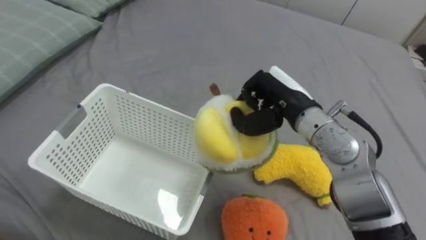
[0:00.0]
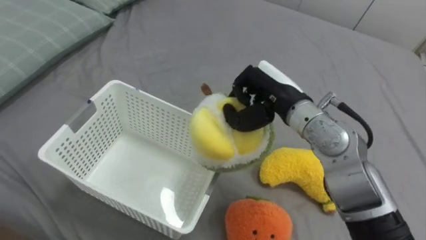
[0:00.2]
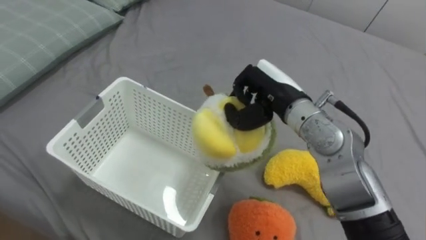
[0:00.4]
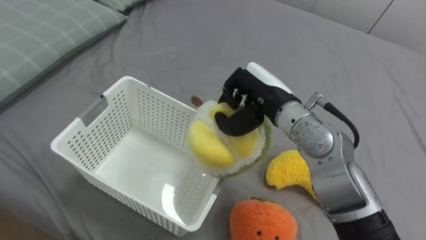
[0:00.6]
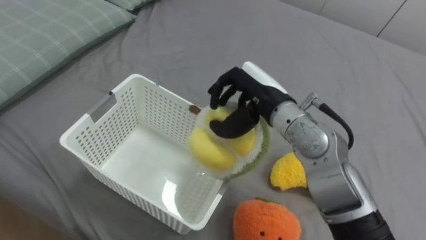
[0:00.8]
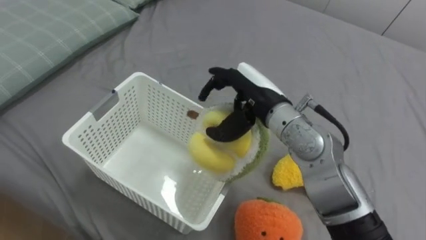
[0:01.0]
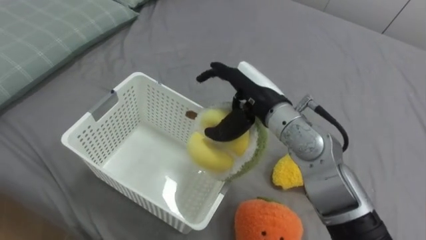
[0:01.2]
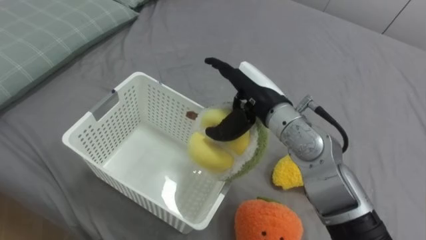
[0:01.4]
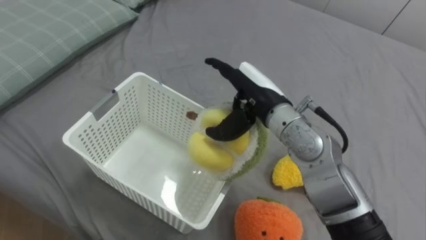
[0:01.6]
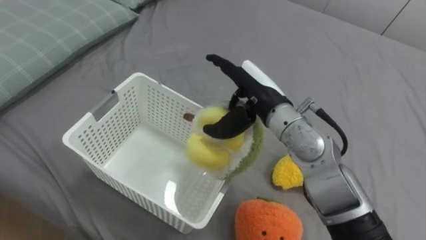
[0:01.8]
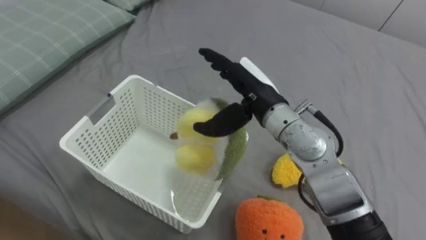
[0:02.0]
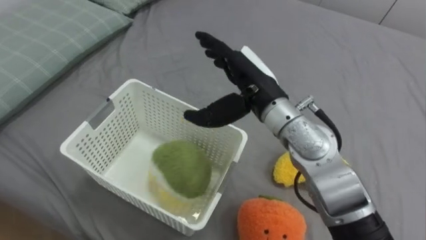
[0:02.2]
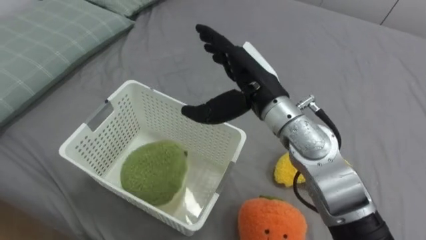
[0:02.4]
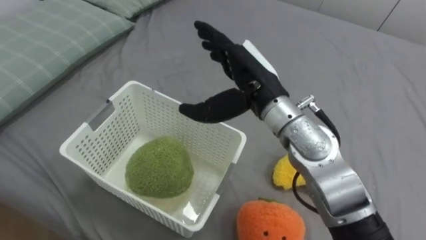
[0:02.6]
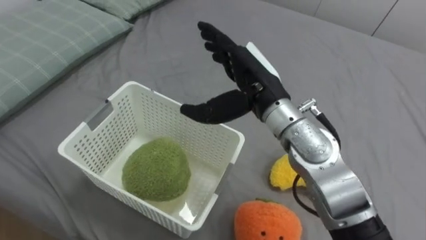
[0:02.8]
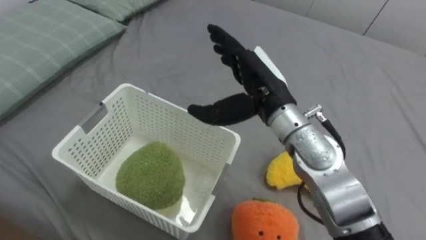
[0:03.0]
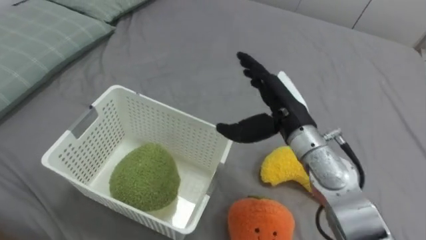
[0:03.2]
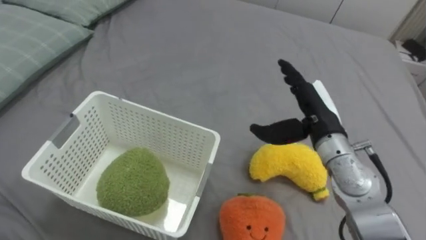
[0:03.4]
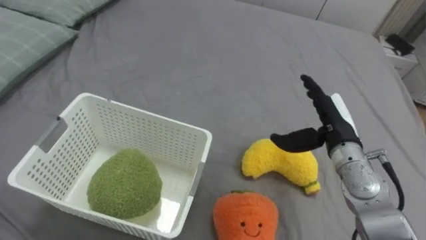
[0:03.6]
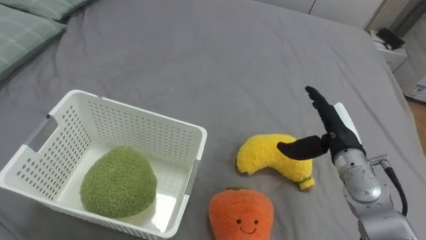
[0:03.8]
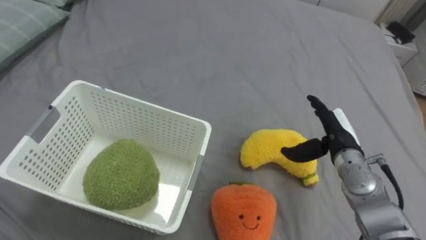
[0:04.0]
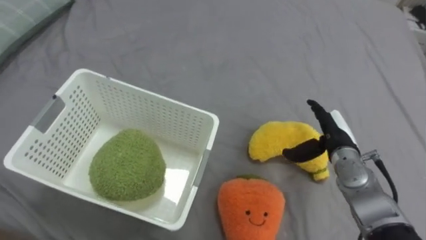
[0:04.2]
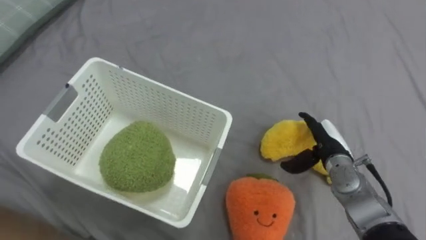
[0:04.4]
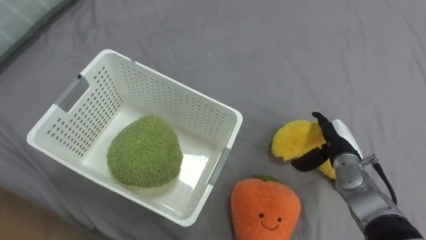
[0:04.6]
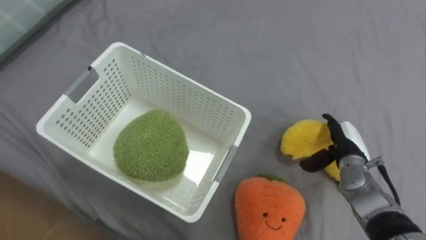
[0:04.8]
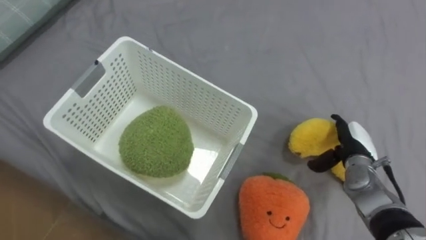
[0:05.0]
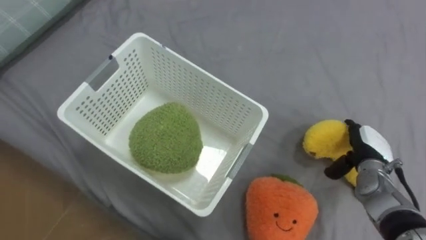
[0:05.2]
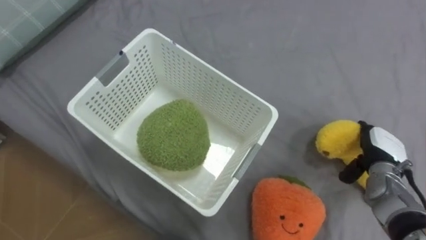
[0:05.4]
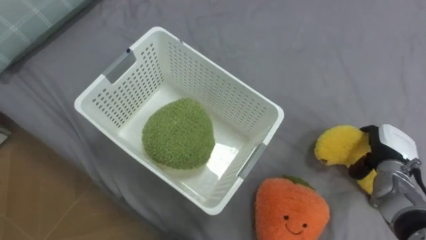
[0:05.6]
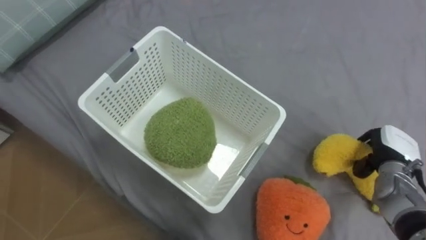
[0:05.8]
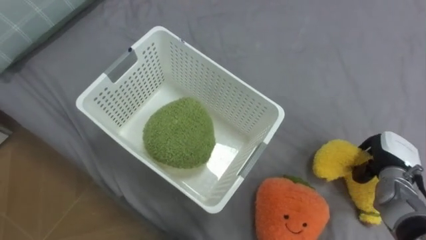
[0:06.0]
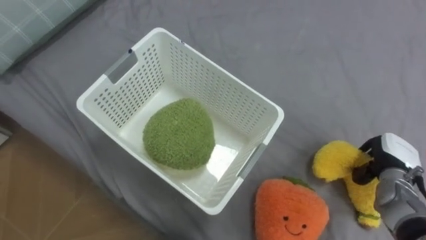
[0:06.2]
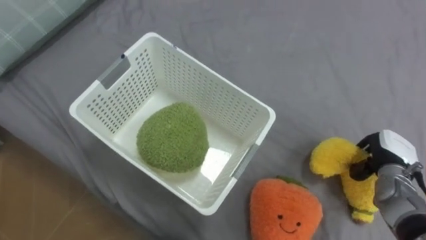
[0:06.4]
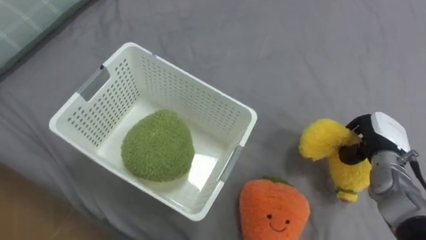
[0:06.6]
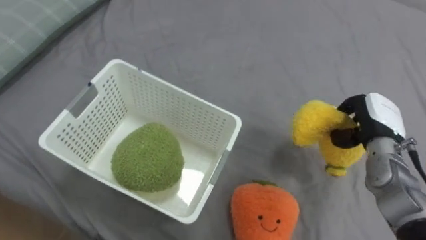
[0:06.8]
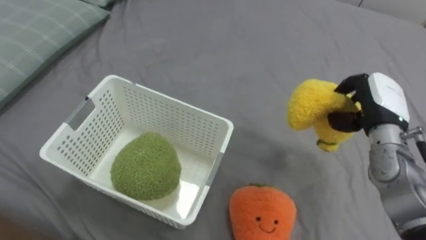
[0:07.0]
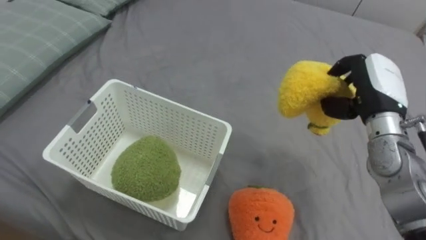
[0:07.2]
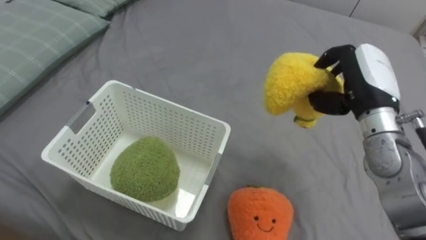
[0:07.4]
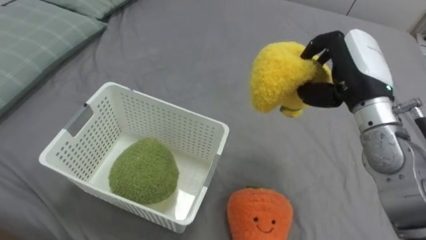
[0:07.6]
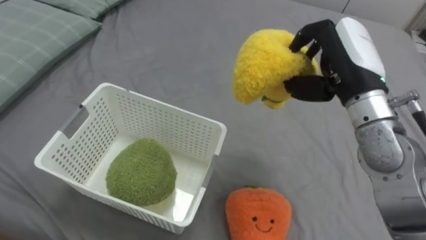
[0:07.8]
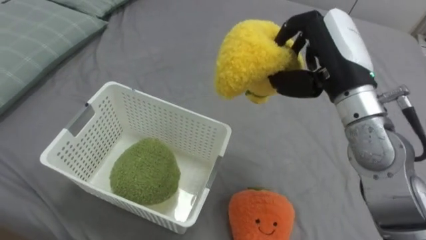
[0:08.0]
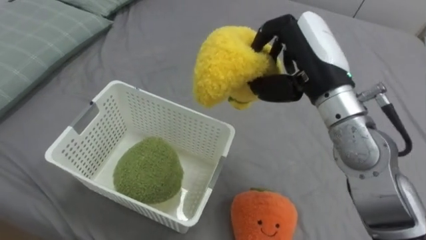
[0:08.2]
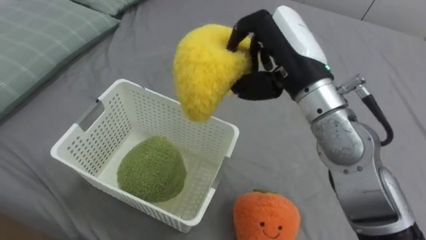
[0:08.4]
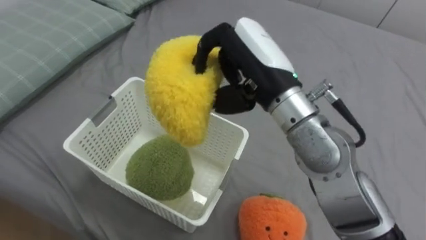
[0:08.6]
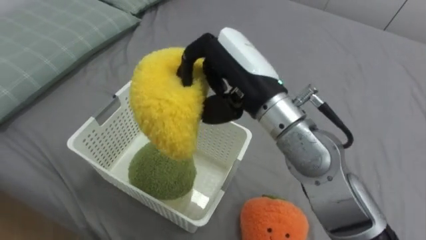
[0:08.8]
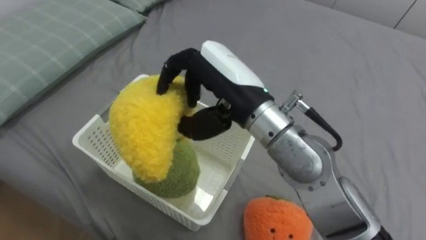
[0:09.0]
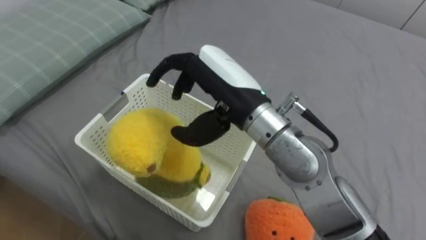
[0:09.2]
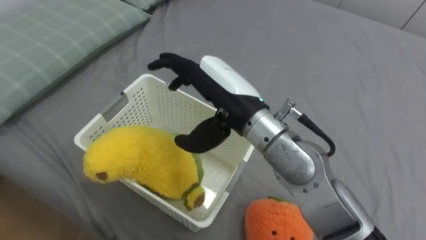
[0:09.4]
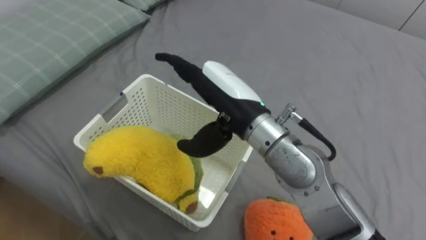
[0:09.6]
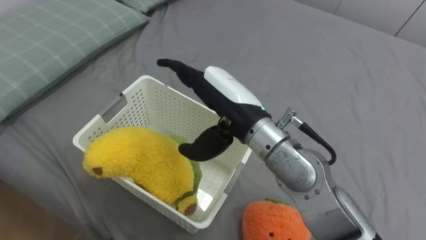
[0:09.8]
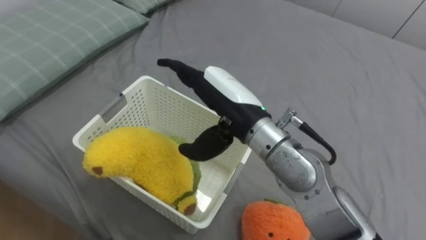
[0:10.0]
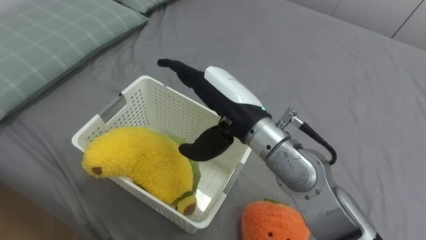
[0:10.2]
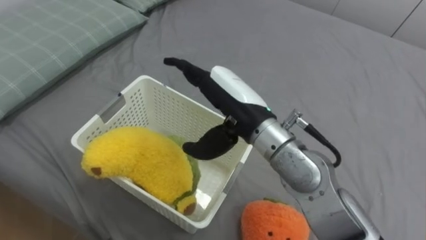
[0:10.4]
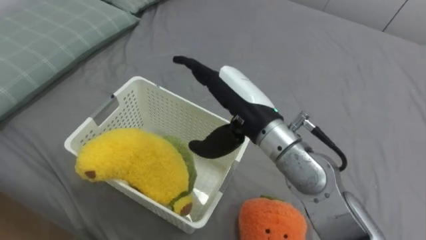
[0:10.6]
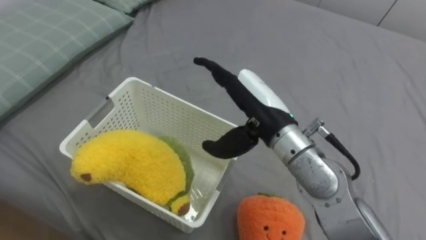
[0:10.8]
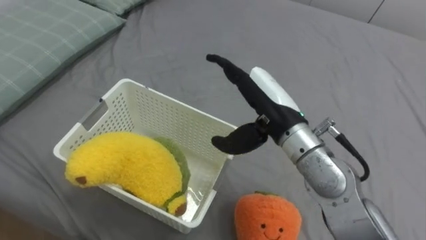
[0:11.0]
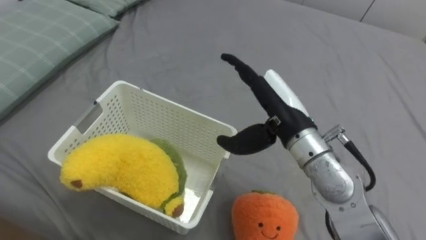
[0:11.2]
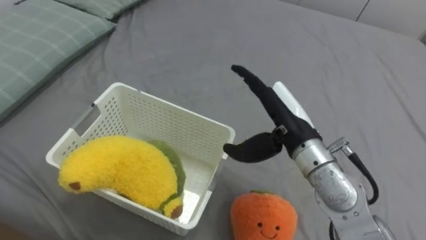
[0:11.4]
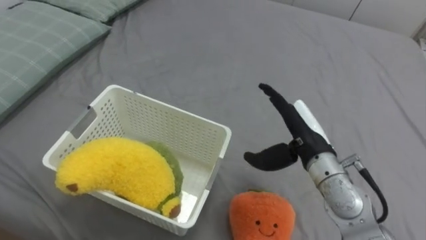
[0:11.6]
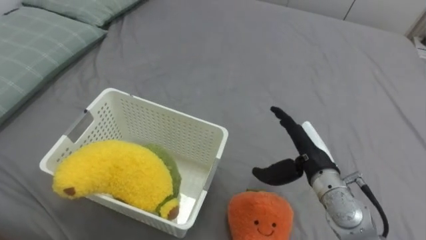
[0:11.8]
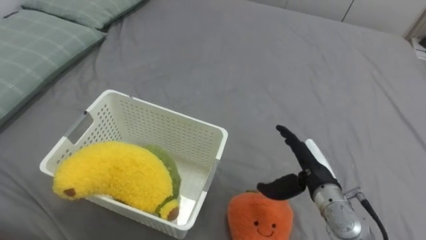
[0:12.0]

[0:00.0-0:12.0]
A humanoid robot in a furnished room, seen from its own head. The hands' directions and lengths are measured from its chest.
Task of the whole recording: Put the toys on the bed into the basket on the left.
0:00.0 to 0:01.6: The right hand moves to the left, roughly 5 cm, and opens up.
0:03.0 to 0:04.4: The right hand goes roughly 25 cm downward and to the right.
0:04.4 to 0:06.0: The right hand moves to the right, some 10 cm, and closes up.
0:06.0 to 0:07.6: The right hand heads upward and to the left, covering some 25 cm.
0:07.6 to 0:09.0: The right hand is displaced to the left by some 20 cm.
0:09.0 to 0:10.4: The right hand opens.
0:10.4 to 0:12.0: The right hand shifts some 25 cm downward and to the right.

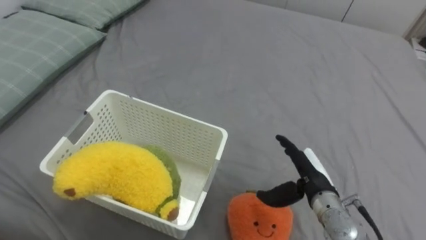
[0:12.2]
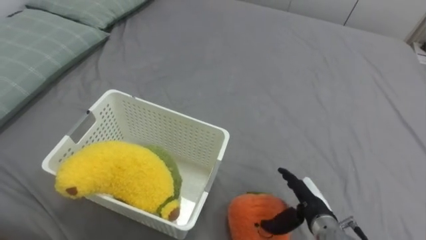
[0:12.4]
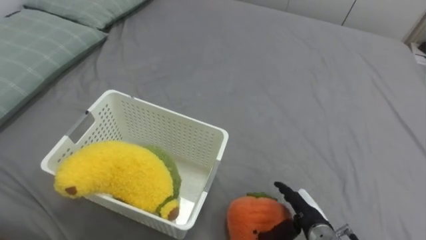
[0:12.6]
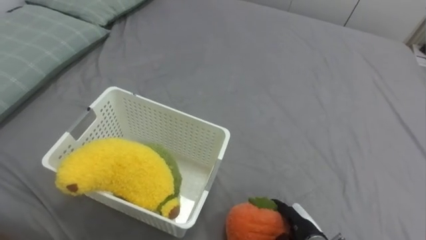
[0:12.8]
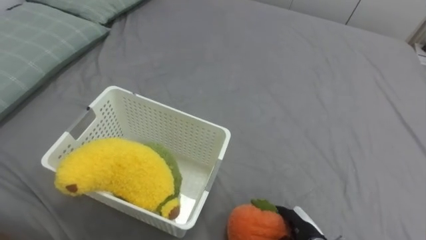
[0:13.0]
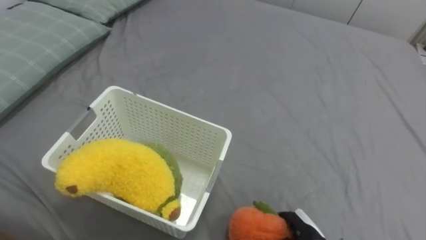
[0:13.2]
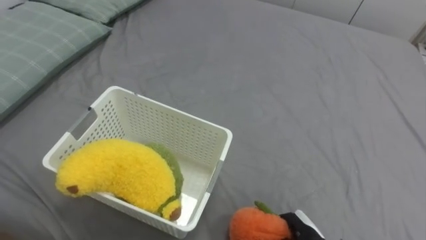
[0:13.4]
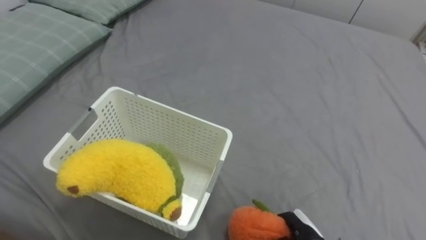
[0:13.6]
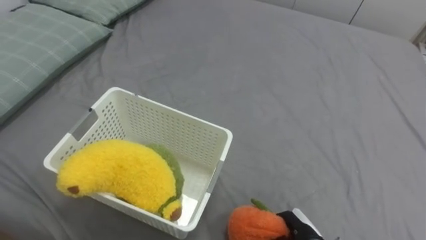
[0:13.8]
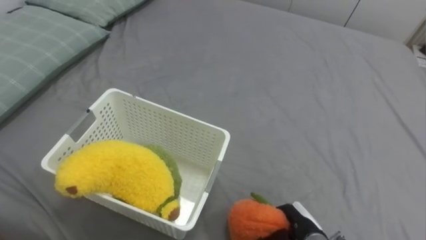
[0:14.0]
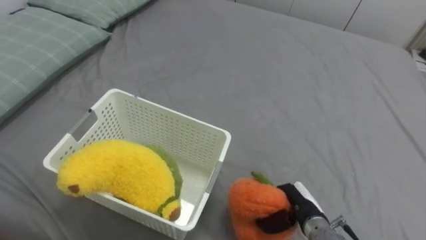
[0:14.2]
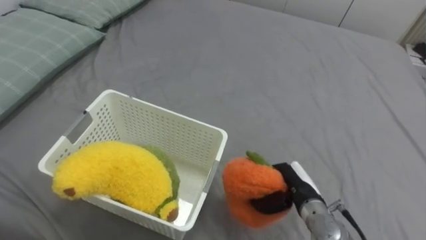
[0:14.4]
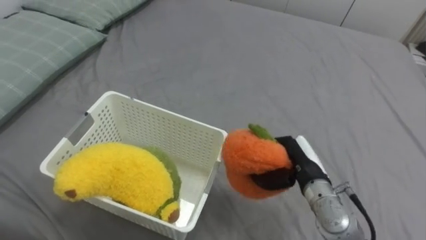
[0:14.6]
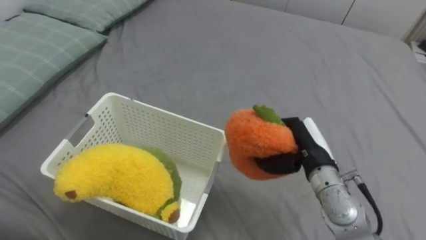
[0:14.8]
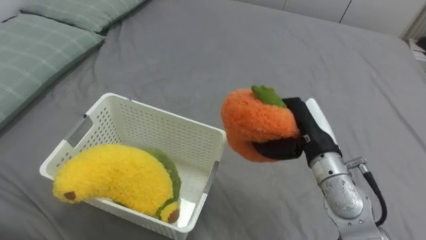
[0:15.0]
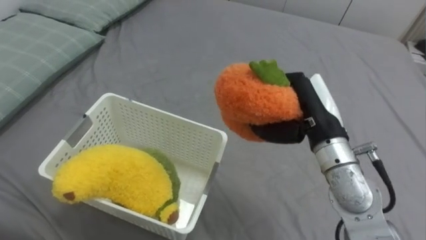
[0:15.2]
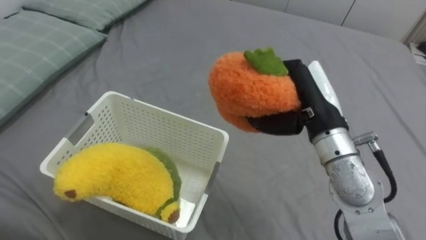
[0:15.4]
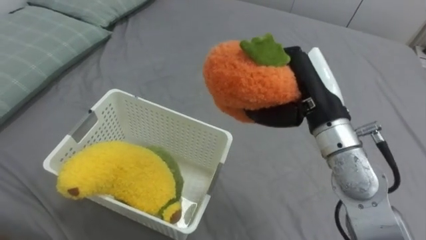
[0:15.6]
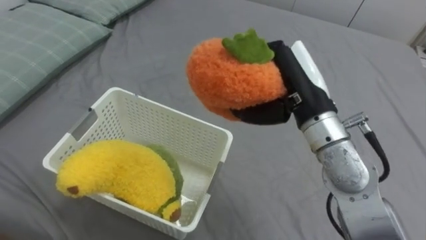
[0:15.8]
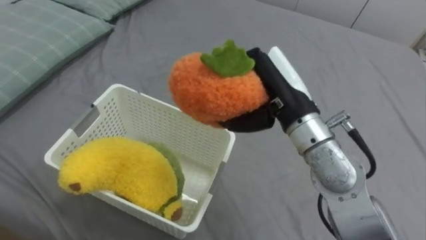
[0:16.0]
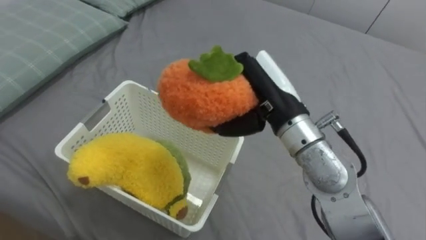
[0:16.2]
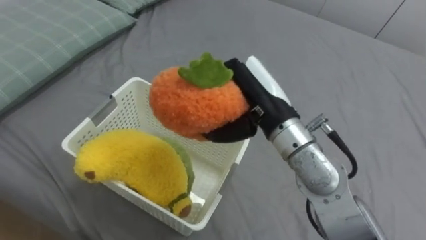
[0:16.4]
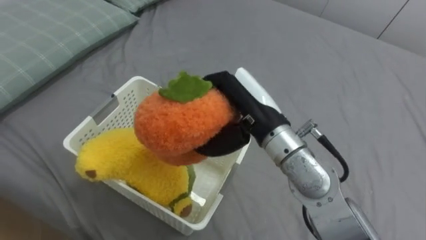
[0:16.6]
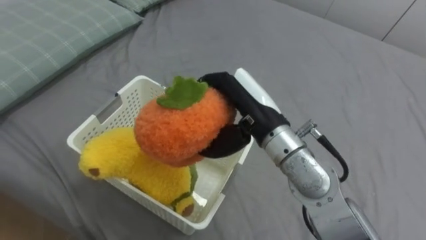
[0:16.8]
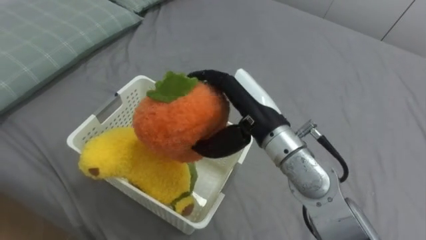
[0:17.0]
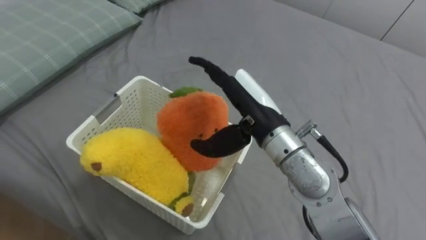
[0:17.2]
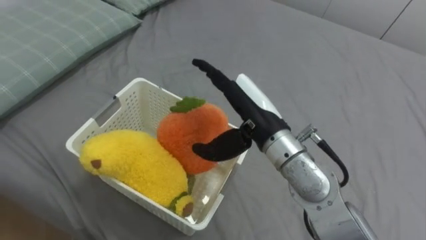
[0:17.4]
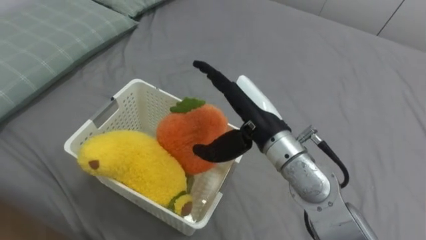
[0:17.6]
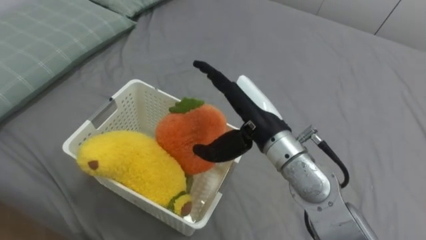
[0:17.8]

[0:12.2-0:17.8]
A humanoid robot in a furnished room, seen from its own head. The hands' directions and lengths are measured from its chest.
Task of the whole recording: Put the toys on the bed into the basket on the left.
0:12.2 to 0:13.6: The right hand is displaced downward and backward by approximately 15 cm, and closes its fingers.
0:13.6 to 0:15.0: The right hand is displaced upward and forward by roughly 25 cm.
0:15.0 to 0:16.4: The right hand heads to the left and upward, covering approximately 15 cm.
0:16.4 to 0:17.8: The right hand opens up.
